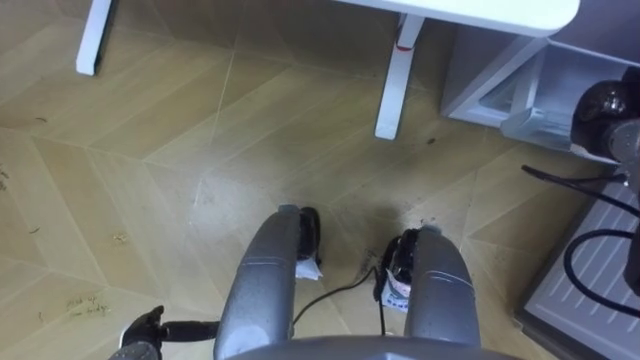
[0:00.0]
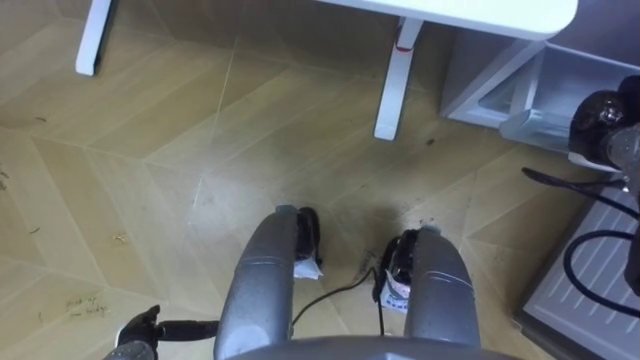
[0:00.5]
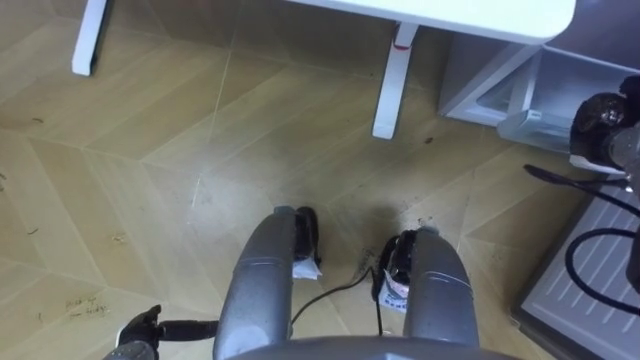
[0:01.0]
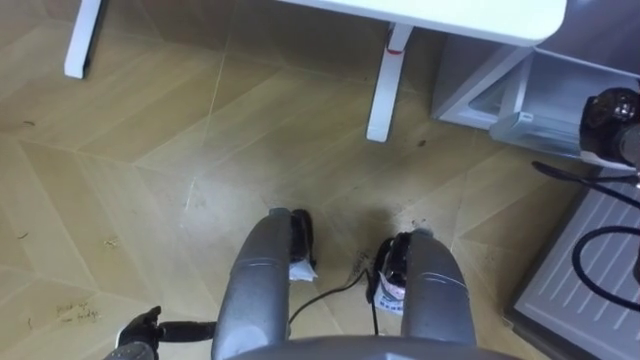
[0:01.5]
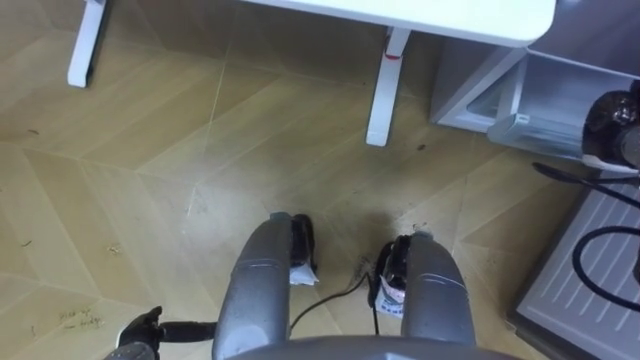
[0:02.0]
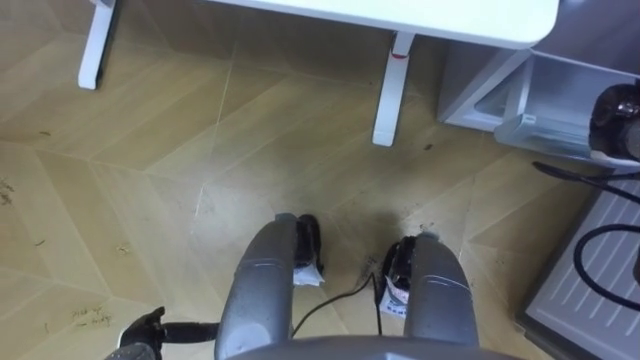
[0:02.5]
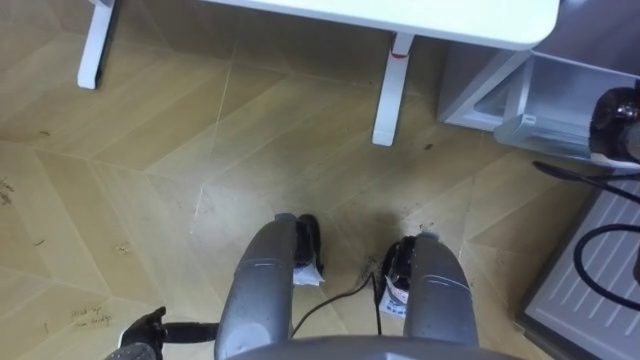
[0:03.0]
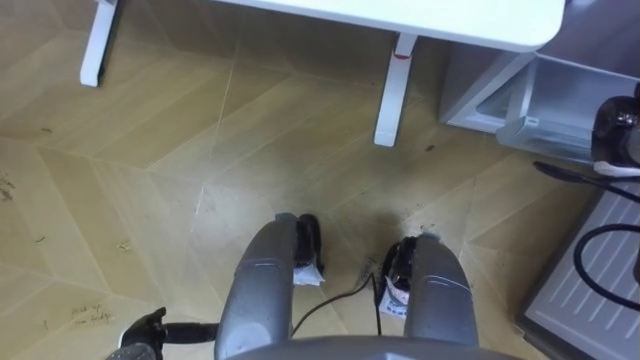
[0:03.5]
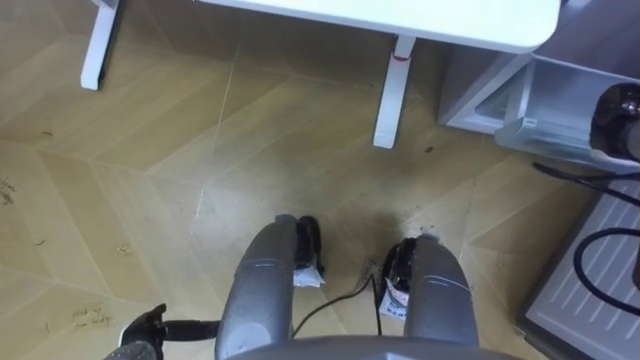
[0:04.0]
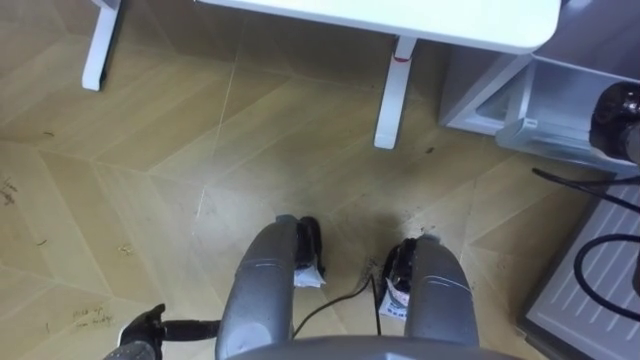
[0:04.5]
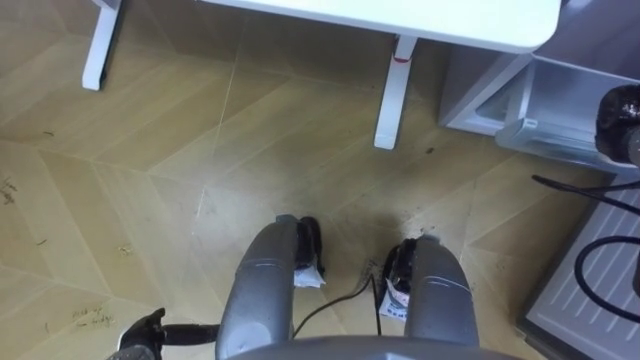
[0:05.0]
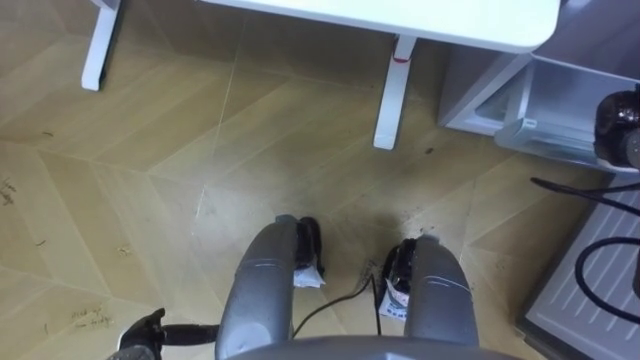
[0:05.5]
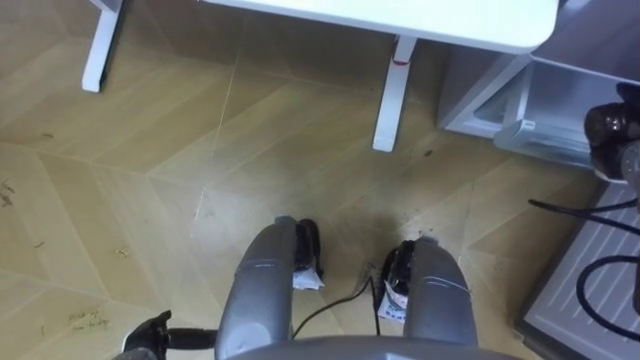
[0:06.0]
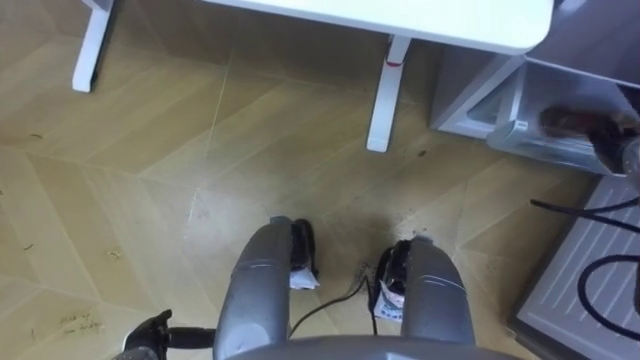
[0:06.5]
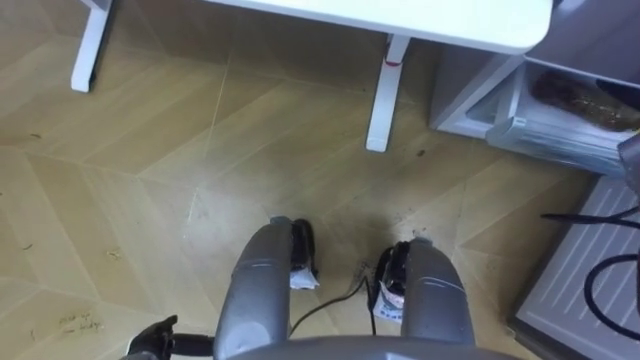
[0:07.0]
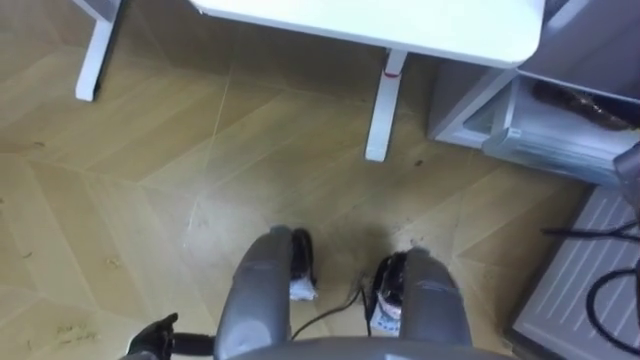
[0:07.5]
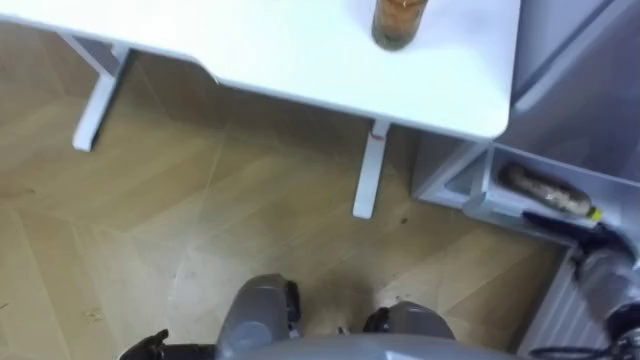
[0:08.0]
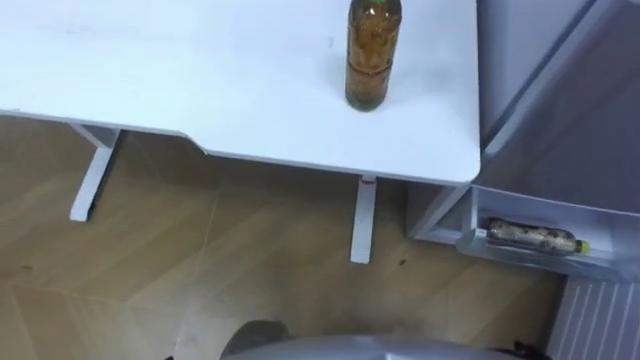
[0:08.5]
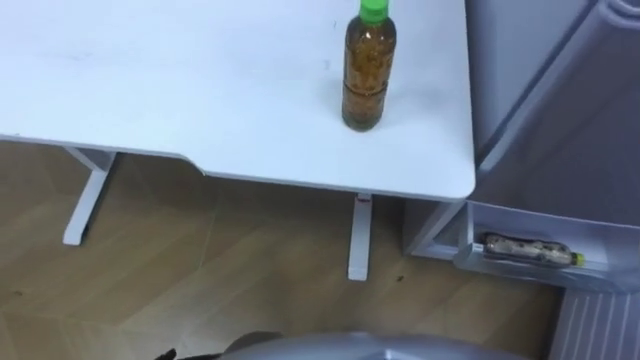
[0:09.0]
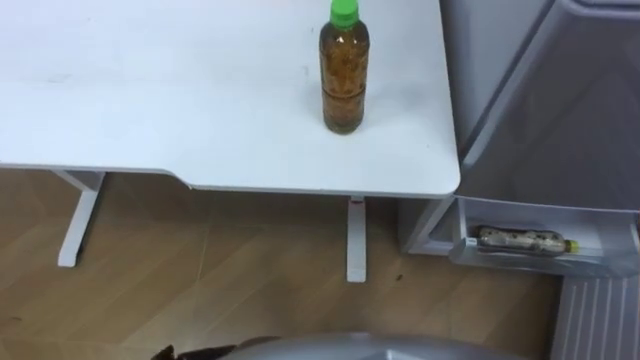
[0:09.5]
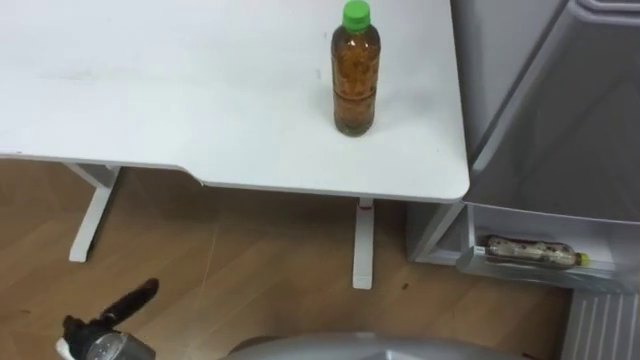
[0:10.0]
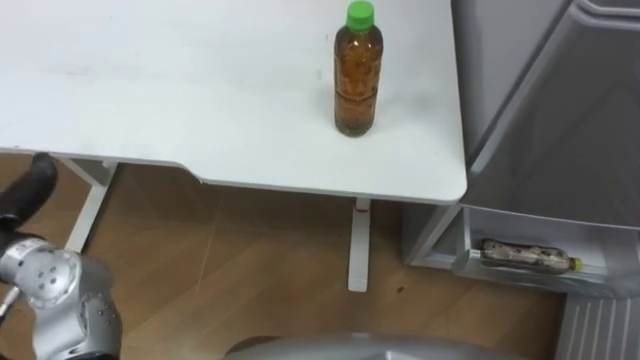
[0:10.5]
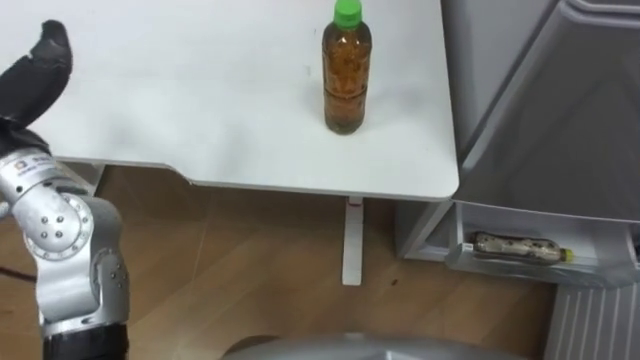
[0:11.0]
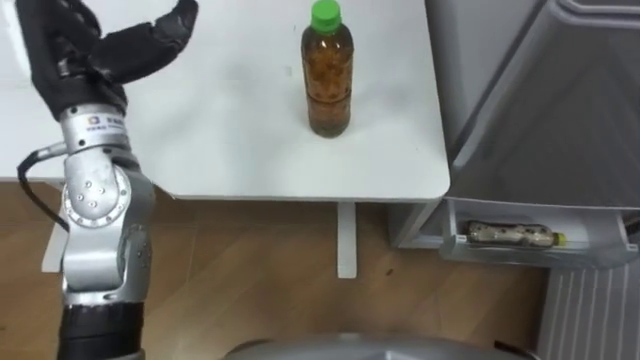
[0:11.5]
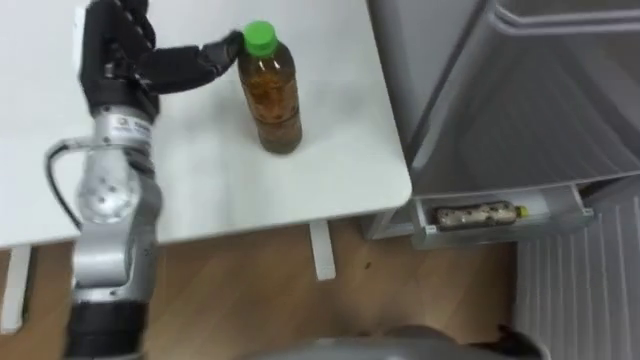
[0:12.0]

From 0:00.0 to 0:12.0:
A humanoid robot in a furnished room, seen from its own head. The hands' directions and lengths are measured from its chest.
Task of the whole recording: Place the drink on the table on the bottom shelf of the refrigerator, then close the drawer and the refrigerator door.
From 0:02.0 to 0:06.0: The hands move only a little.

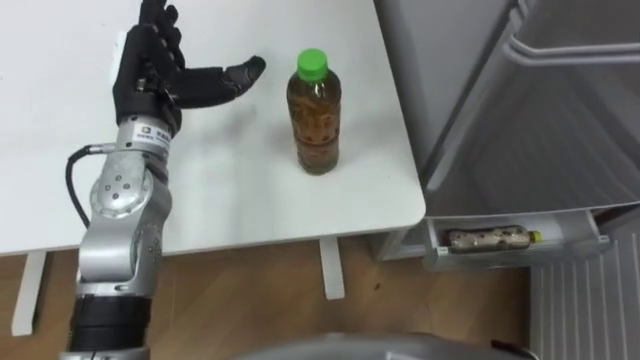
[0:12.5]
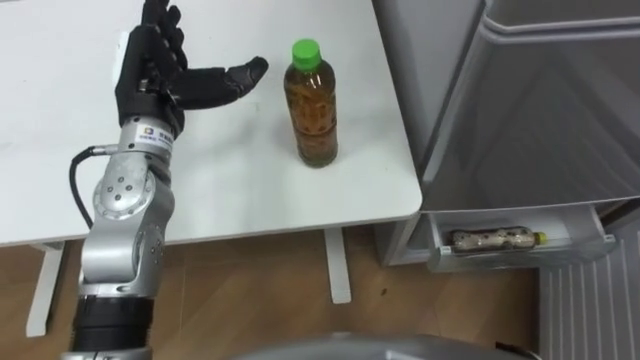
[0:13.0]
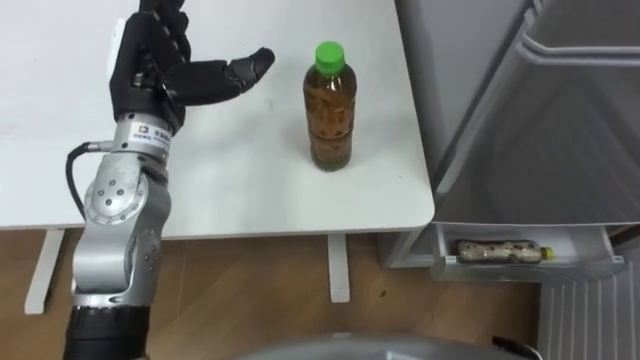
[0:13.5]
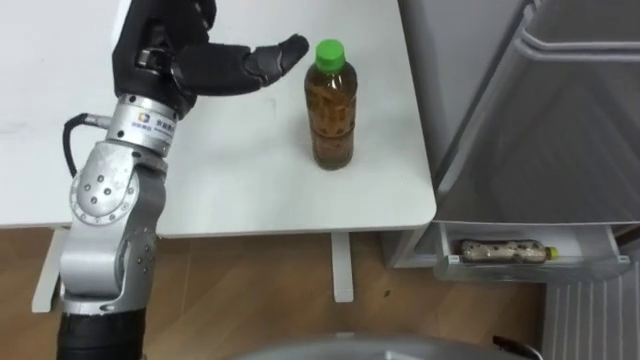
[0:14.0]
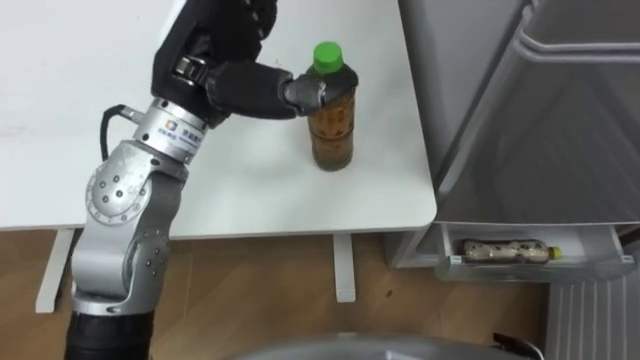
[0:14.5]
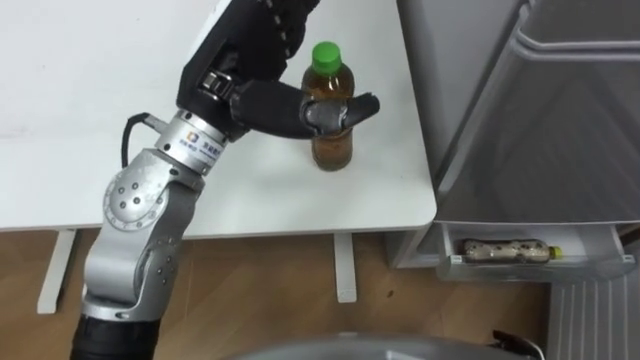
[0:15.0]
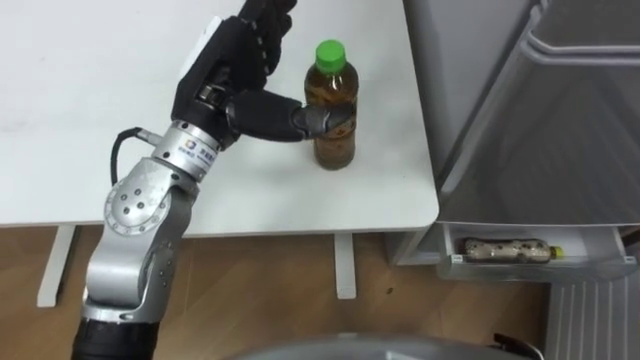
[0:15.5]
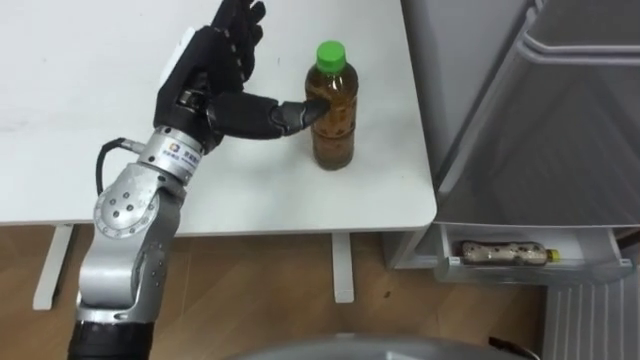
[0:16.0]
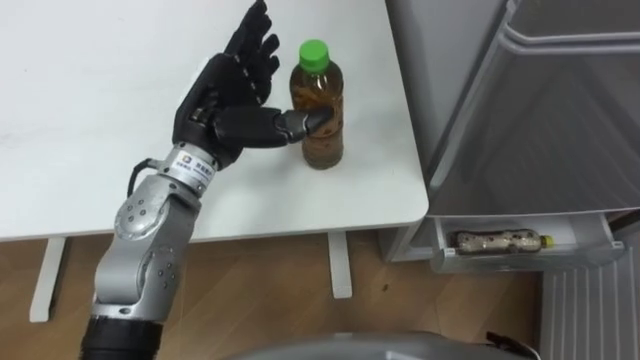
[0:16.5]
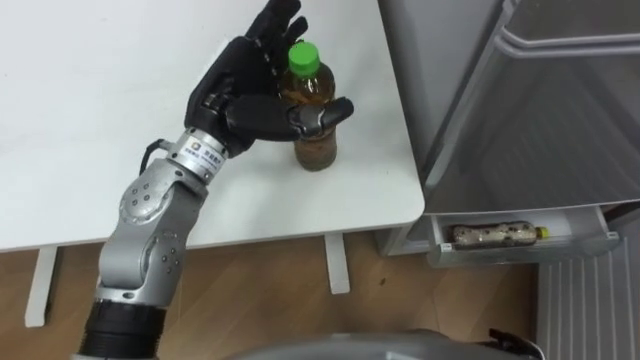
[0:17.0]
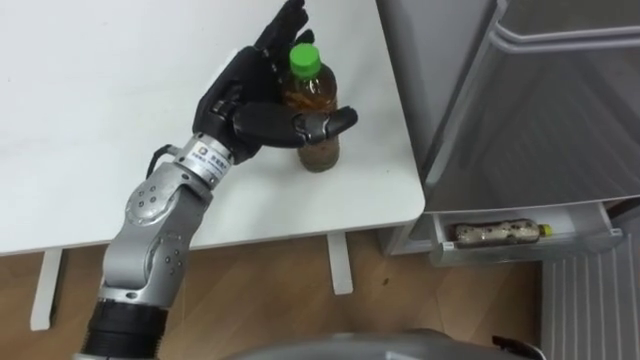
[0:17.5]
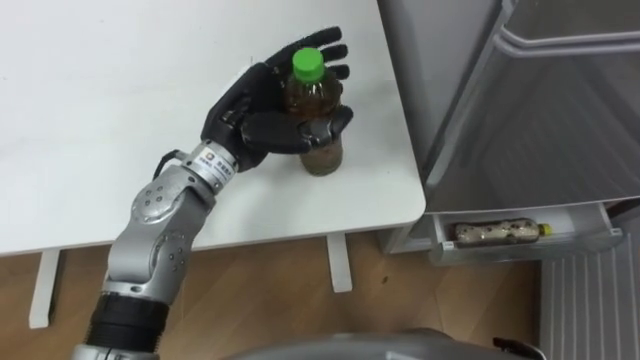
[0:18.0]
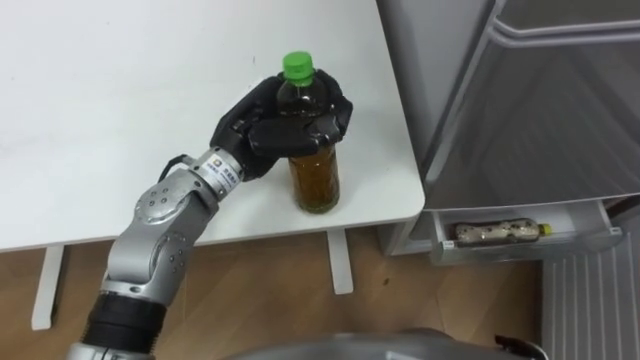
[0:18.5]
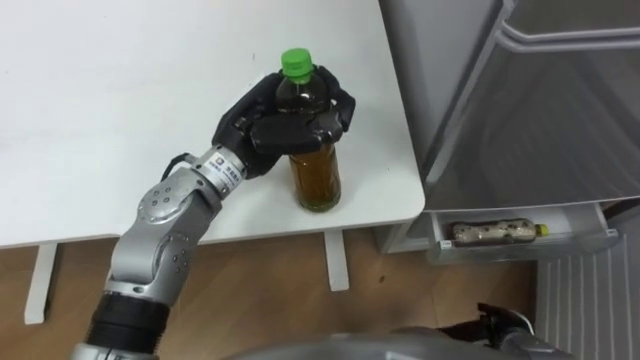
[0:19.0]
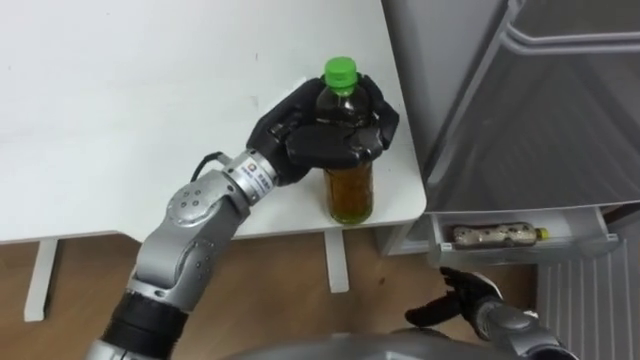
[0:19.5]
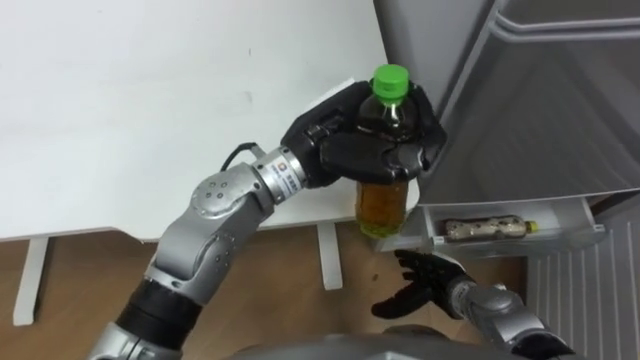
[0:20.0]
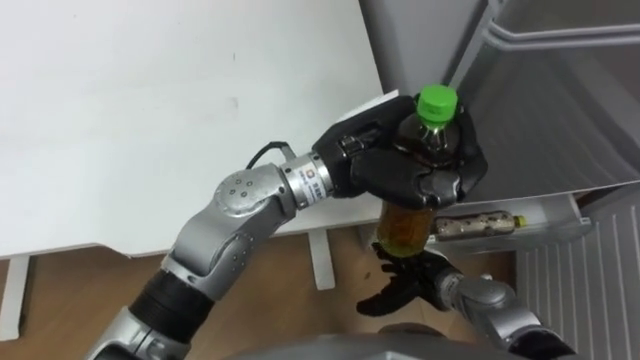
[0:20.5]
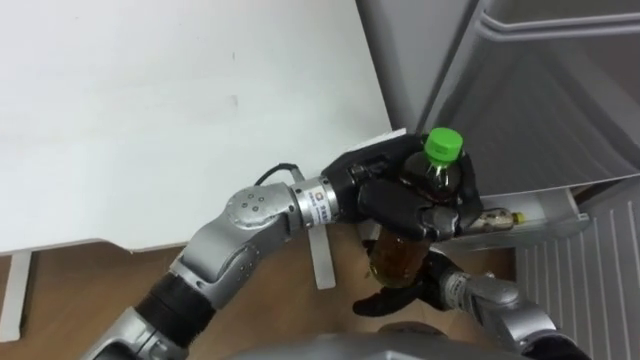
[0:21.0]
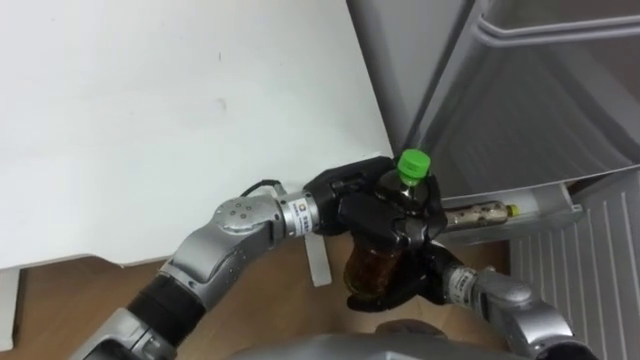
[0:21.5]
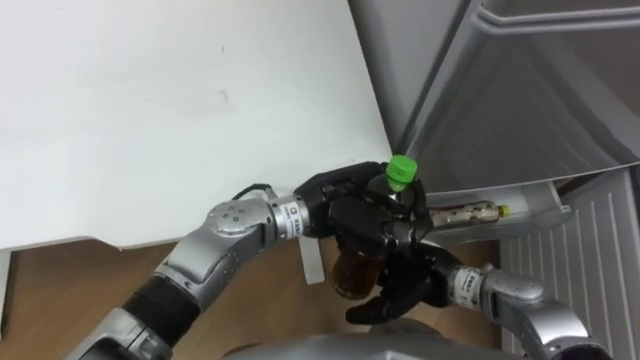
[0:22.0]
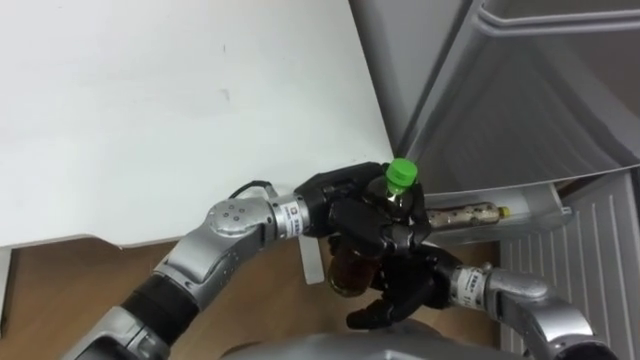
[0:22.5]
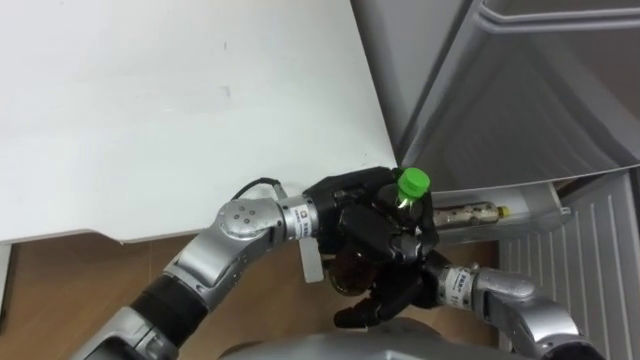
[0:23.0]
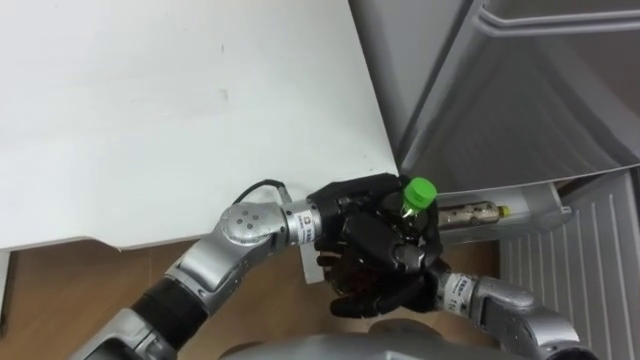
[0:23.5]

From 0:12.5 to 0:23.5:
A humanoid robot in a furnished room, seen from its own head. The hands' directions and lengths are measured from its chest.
Task of the whole recording: Place the drink on the table on the bottom shelf of the refrigerator, then close the drawer and the refrigerator door.
From 0:12.5 to 0:14.5: The left hand shifts some 10 cm to the right and upward.
From 0:14.5 to 0:16.0: The left hand travels downward by roughly 5 cm.
From 0:16.0 to 0:18.0: The left hand shifts by roughly 5 cm.
From 0:18.0 to 0:20.0: The left hand is displaced to the right by about 10 cm, and closes up.
From 0:20.0 to 0:21.5: The right hand heads upward, covering about 5 cm; the left hand heads downward, covering about 5 cm.
From 0:21.5 to 0:23.5: The right hand ends up about 5 cm from where it was.
